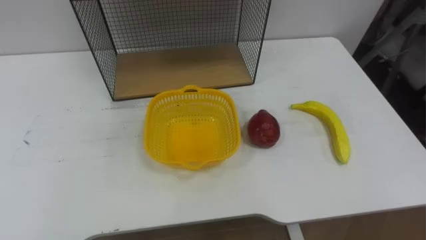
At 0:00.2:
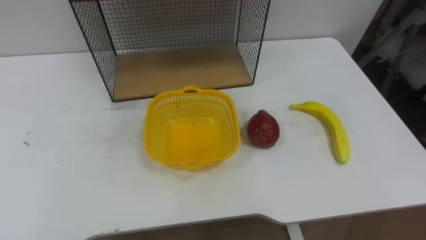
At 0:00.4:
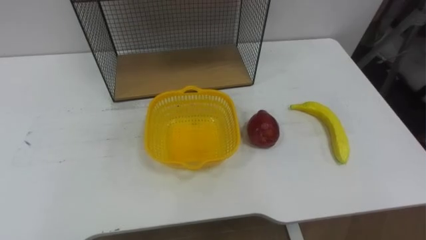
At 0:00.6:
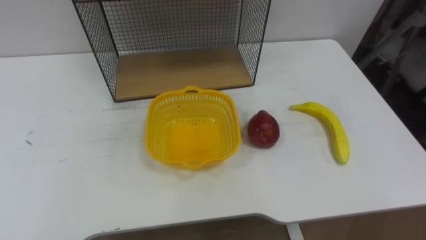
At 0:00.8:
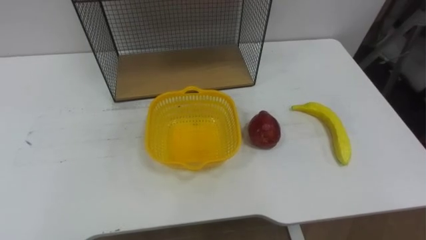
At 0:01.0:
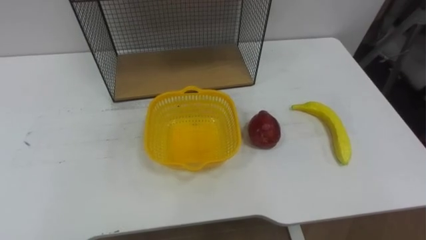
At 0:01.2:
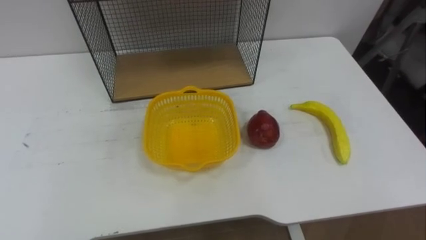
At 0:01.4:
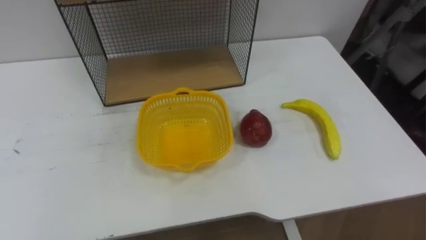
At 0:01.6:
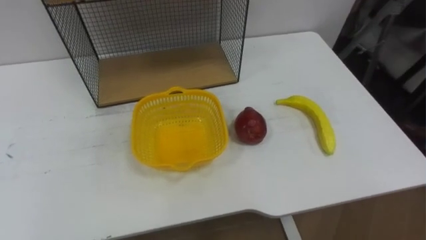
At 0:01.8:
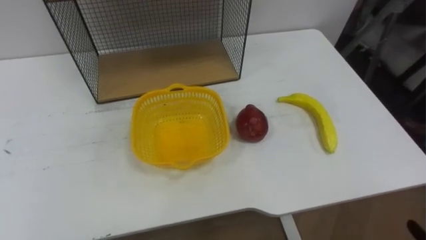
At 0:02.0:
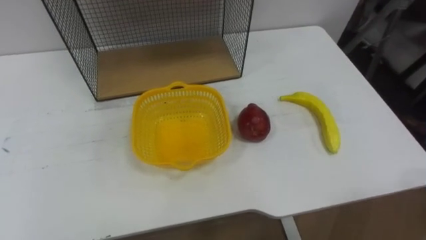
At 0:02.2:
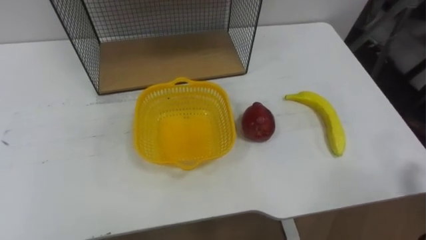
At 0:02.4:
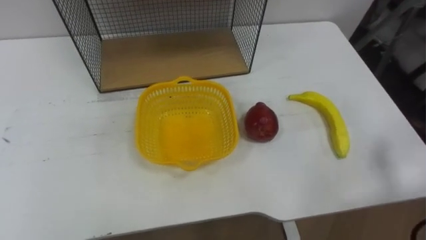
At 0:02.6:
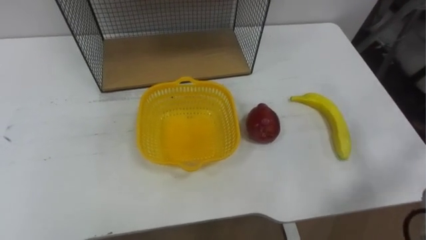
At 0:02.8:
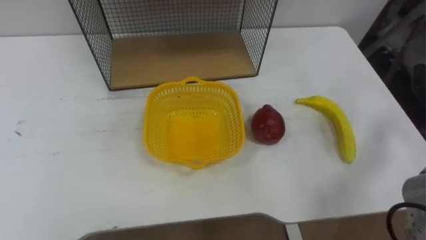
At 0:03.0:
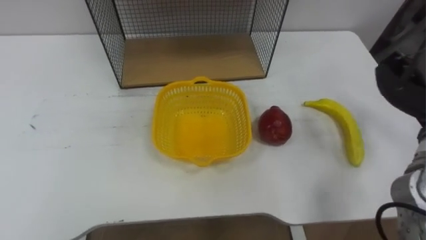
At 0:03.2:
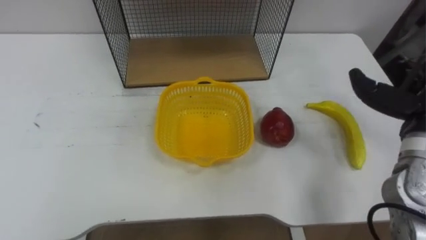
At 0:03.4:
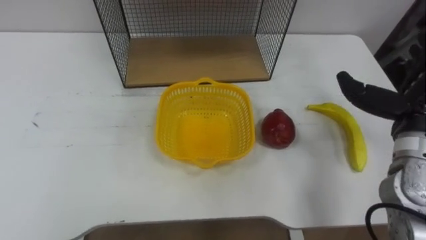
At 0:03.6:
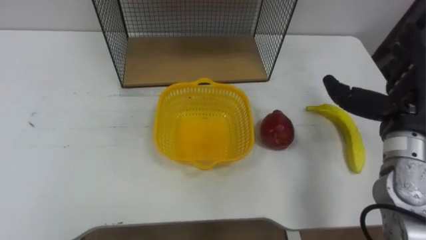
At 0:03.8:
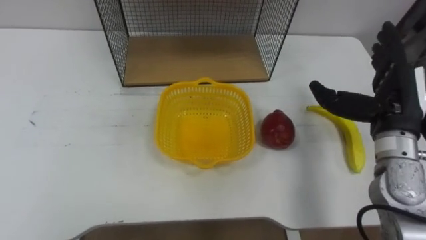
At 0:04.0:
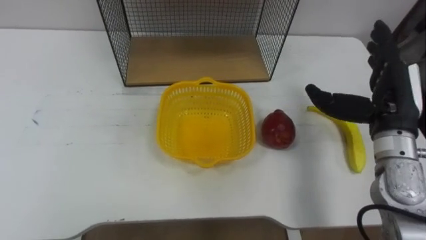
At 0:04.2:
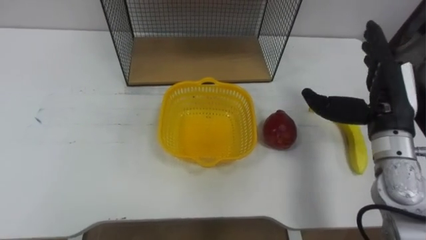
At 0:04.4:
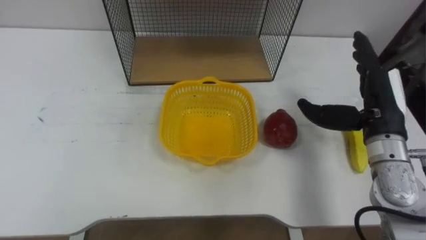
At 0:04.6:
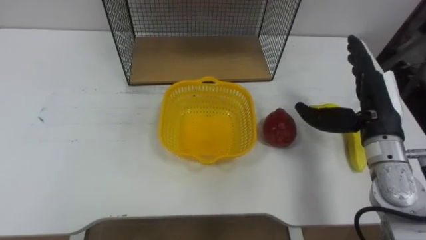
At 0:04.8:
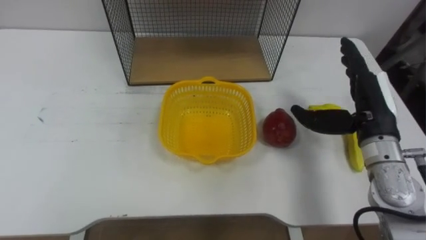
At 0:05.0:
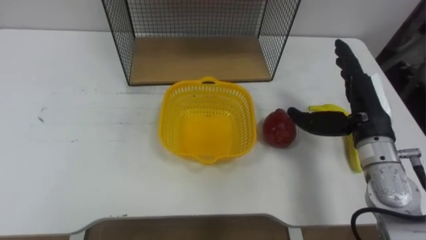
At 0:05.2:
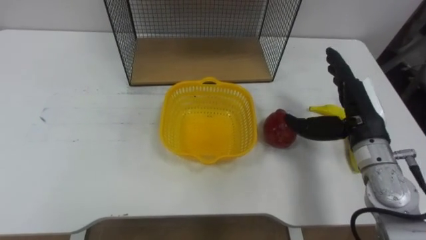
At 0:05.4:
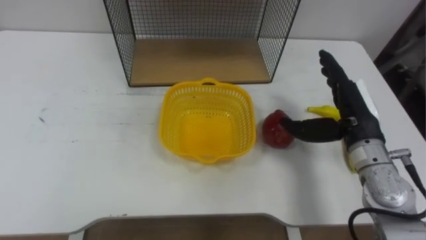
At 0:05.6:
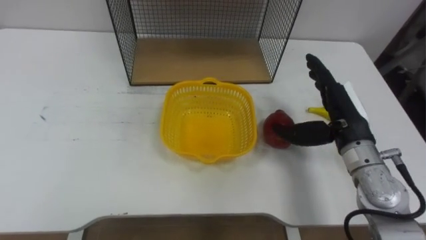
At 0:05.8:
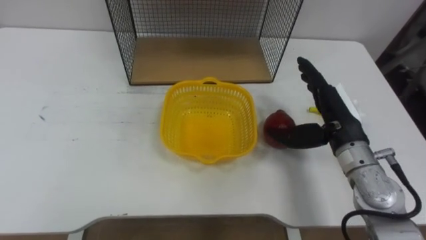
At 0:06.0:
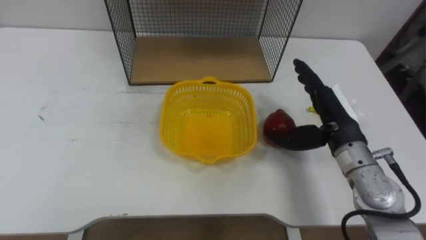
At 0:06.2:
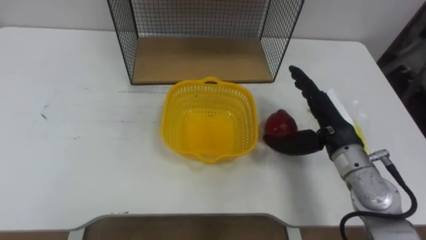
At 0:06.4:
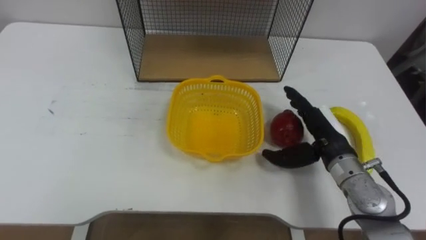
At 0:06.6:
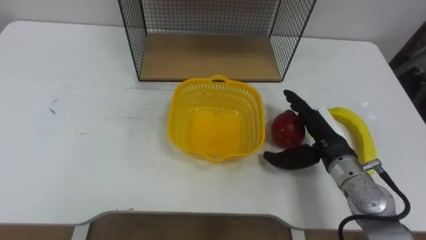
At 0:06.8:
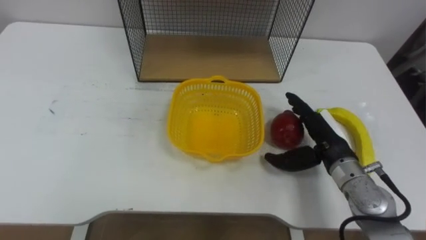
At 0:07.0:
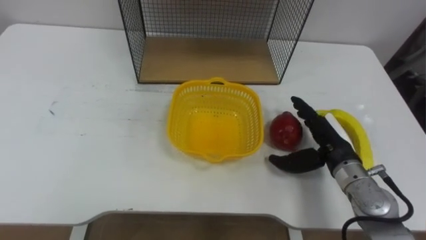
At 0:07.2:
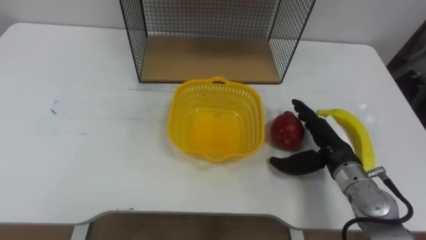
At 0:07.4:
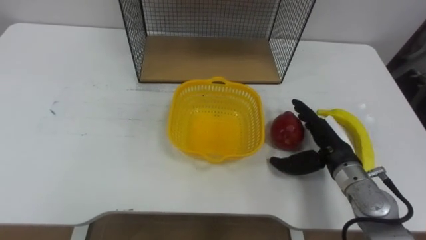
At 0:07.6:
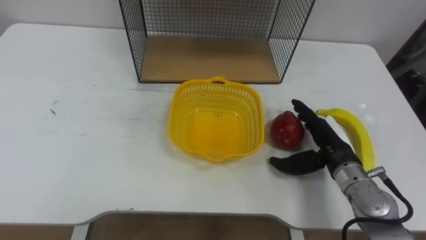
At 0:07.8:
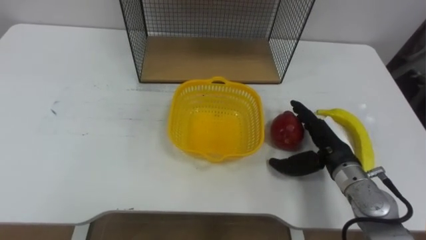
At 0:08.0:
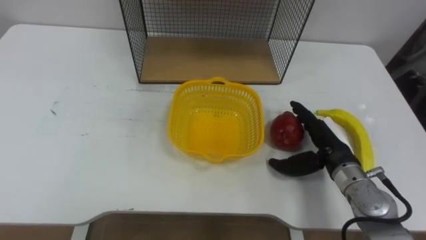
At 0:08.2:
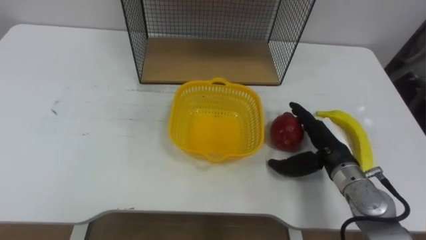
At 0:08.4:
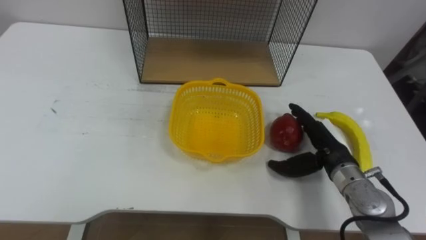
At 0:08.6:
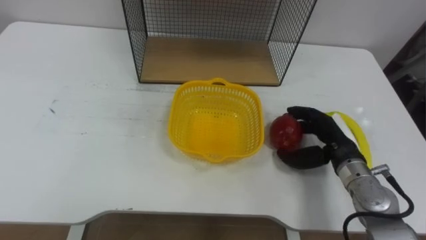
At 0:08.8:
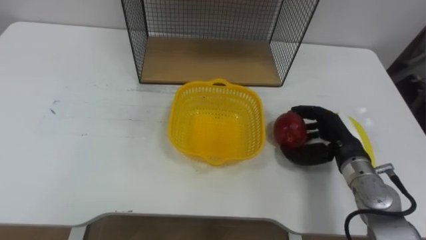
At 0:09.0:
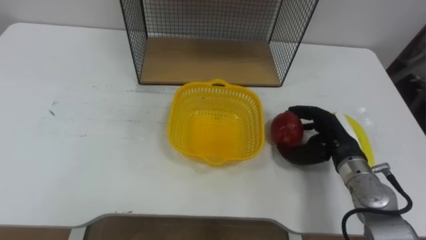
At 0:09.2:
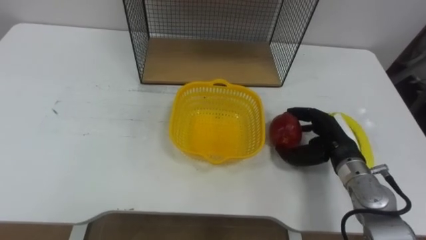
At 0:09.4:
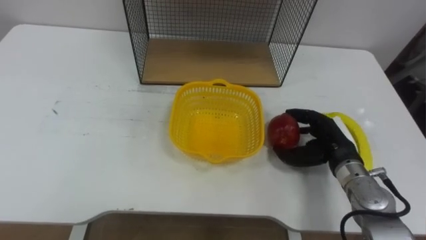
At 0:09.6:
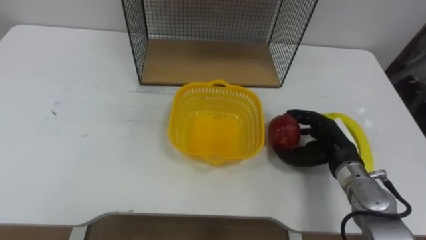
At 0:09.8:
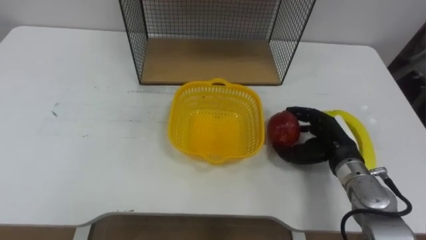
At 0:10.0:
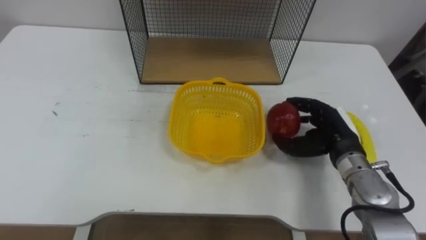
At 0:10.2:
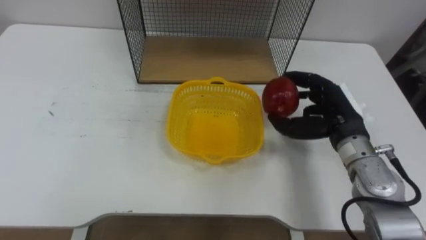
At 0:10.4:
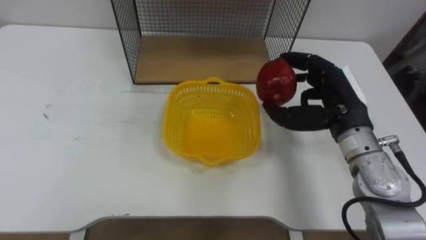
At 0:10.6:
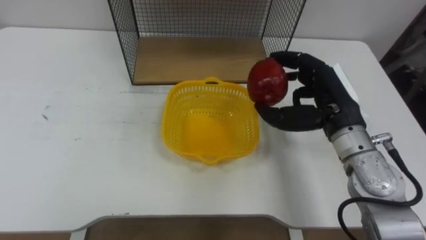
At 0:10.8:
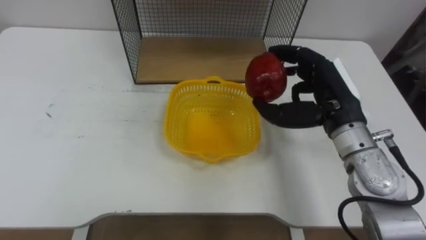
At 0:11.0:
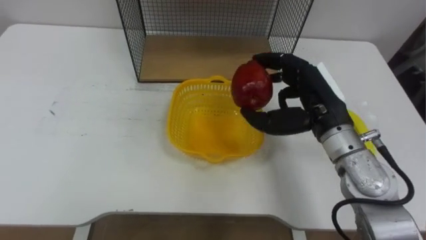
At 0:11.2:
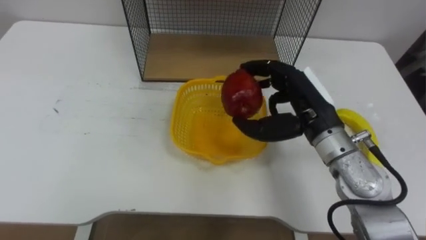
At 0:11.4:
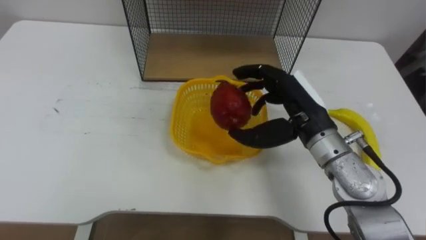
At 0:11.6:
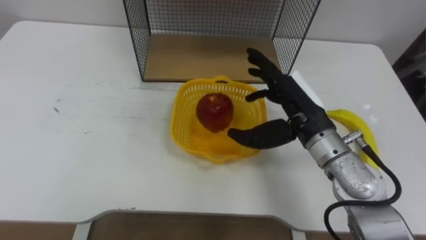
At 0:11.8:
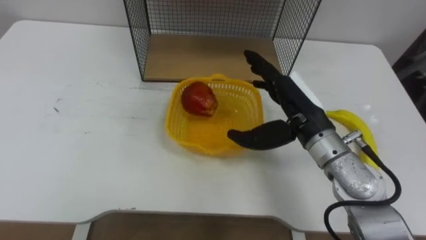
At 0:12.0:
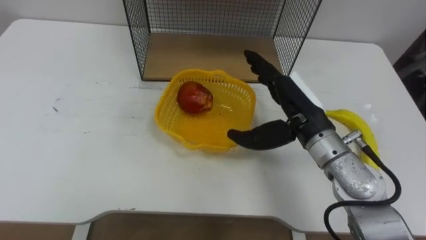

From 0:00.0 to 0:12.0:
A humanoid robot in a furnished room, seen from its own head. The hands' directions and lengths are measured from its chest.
Task of the whole recording: Put the fruit on the table into the basket, then place the basket on the shelf.
From 0:04.4 to 0:06.0: The right hand moves to the left, approximately 5 cm.
From 0:06.0 to 0:07.6: The right hand heads downward, covering some 5 cm.
From 0:07.6 to 0:09.0: The right hand closes its fingers.
From 0:09.0 to 0:10.4: The right hand is displaced upward by approximately 10 cm.
From 0:10.4 to 0:12.0: The right hand moves to the left, approximately 5 cm, and opens.

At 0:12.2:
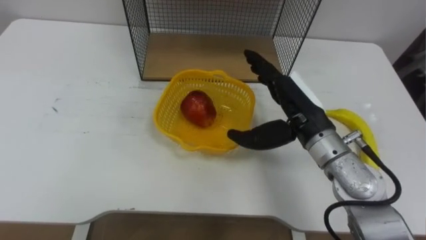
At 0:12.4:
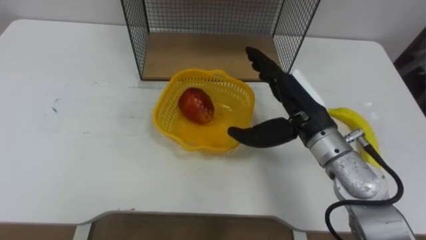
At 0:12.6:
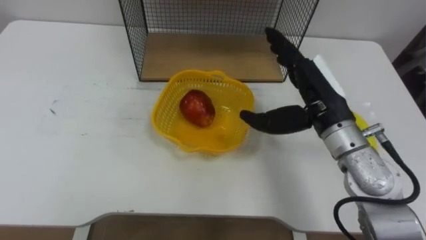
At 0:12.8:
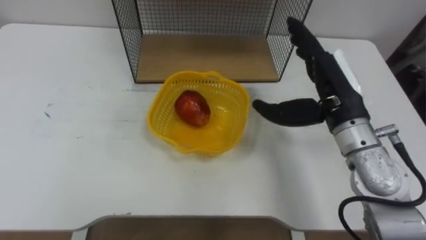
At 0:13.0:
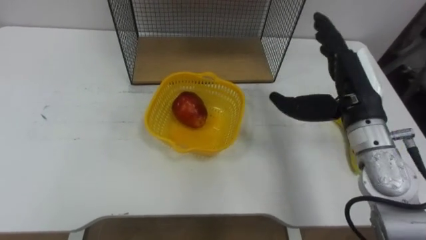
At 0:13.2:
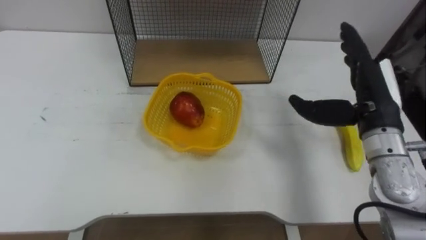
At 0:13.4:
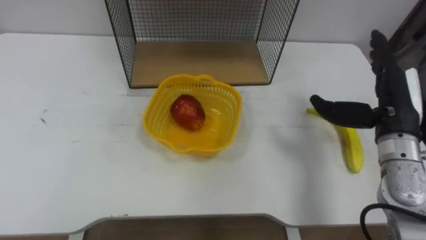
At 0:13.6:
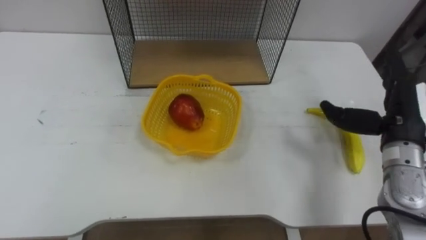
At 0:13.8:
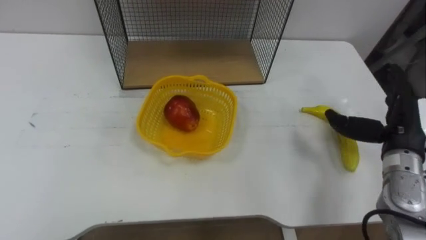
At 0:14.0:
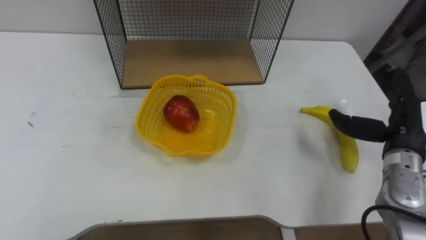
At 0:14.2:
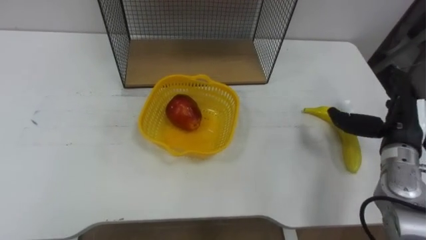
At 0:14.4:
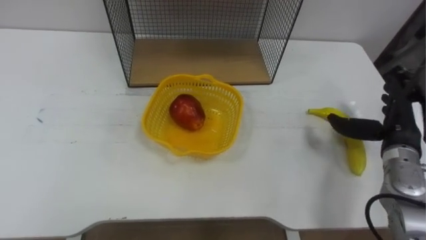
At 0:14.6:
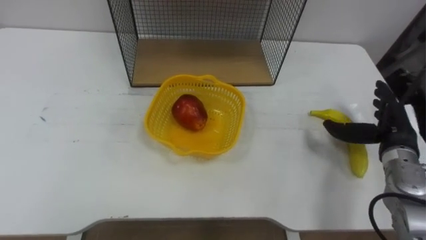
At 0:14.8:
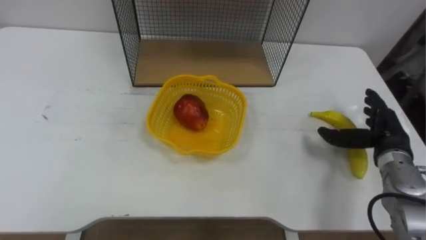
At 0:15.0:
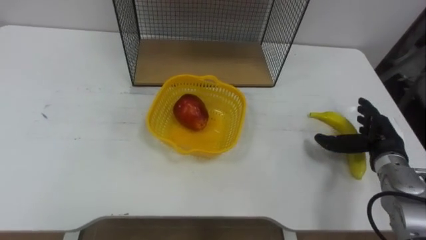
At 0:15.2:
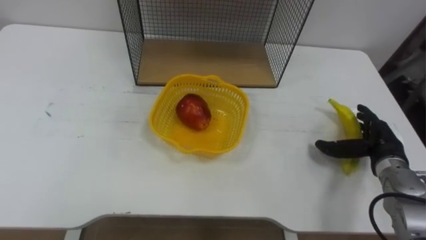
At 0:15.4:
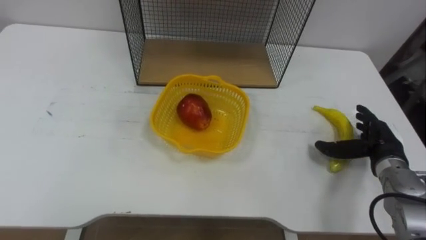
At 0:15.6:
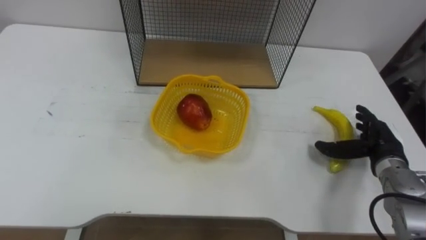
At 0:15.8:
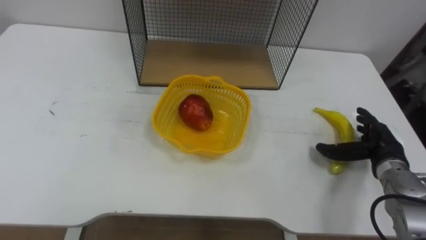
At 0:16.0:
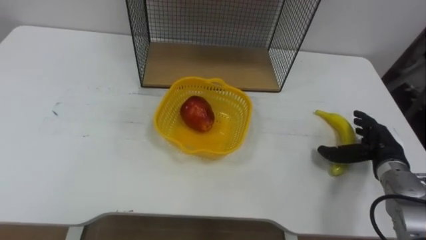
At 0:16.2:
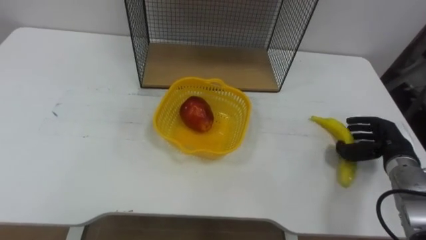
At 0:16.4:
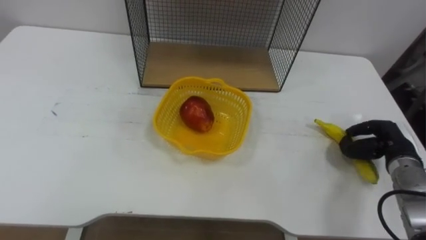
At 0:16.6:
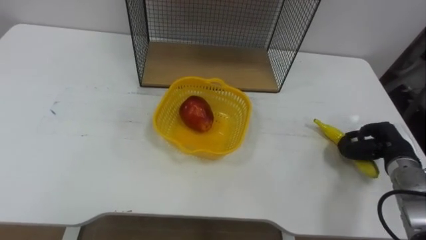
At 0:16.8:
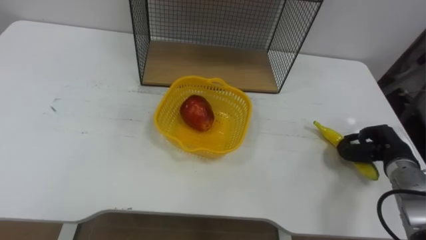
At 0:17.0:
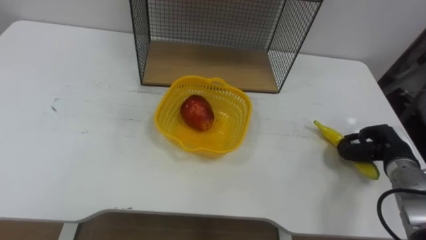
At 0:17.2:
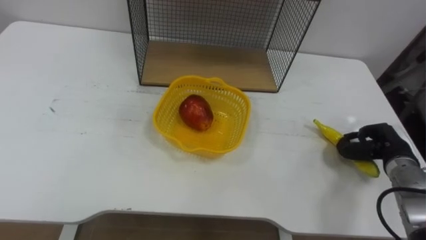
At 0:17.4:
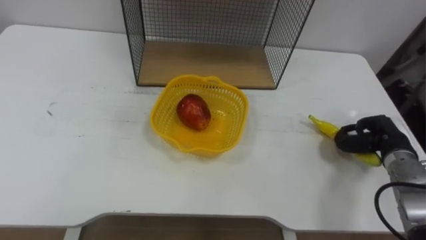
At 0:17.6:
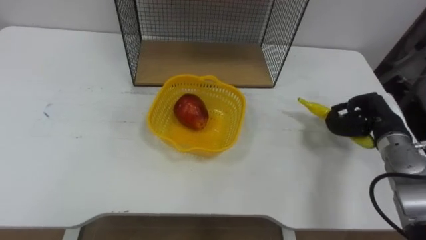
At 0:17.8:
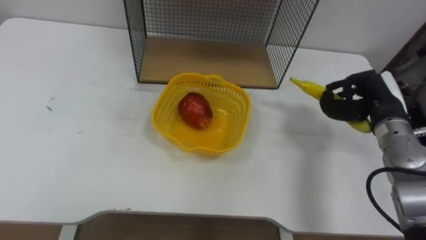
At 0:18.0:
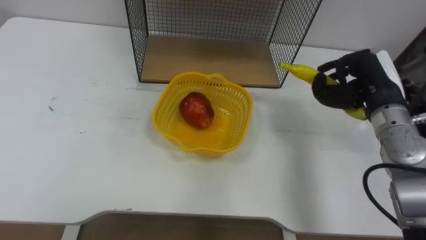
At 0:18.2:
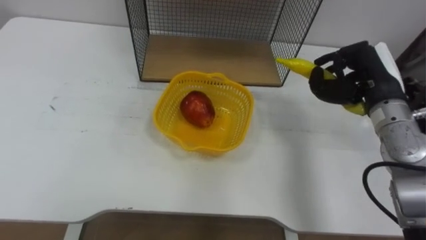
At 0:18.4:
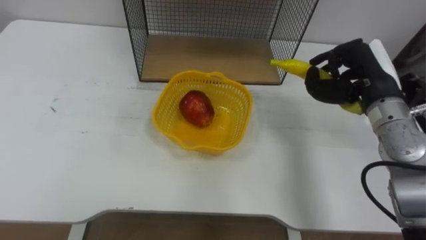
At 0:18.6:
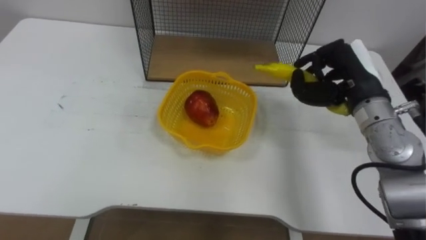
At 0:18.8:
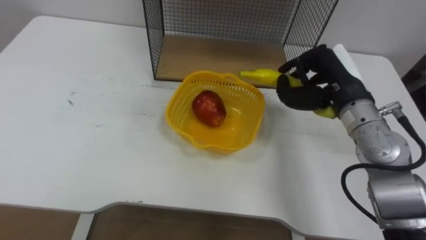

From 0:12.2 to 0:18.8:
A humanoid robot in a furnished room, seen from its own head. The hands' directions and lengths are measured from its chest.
Task of the whole recording: Put the fruit on the table into the basket, then place the basket on the shelf.
From 0:12.2 to 0:13.8: The right hand goes some 20 cm to the right.
From 0:13.8 to 0:15.4: The right hand shifts roughly 10 cm downward.
From 0:15.4 to 0:17.2: The right hand closes its fingers.
From 0:17.2 to 0:18.8: The right hand is displaced upward and to the left by roughly 20 cm.
